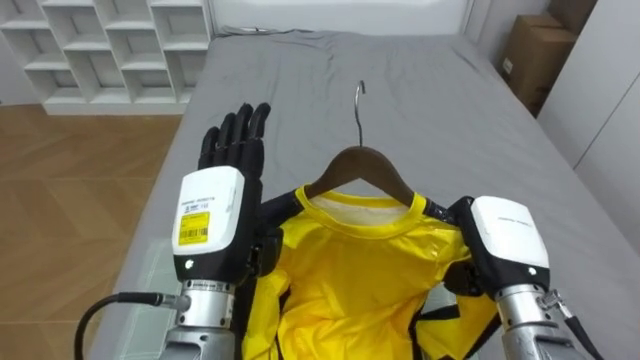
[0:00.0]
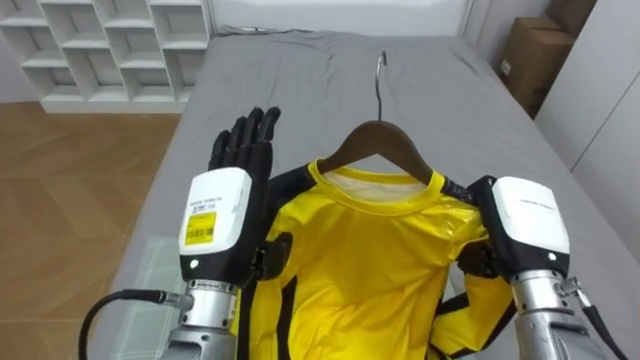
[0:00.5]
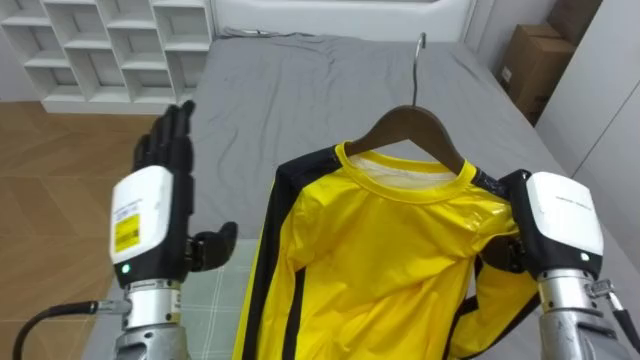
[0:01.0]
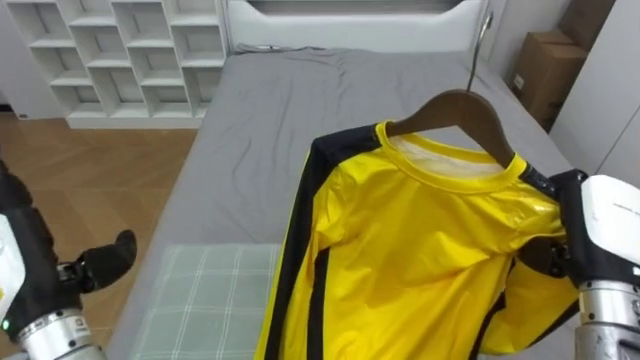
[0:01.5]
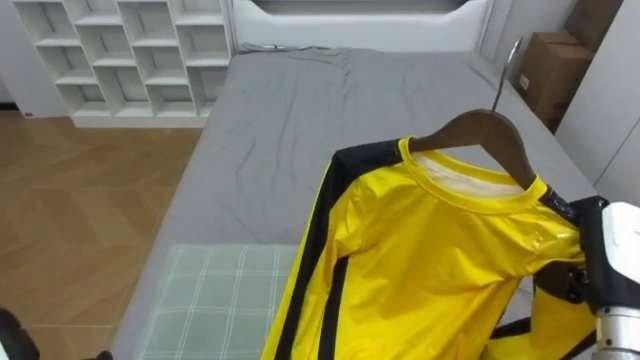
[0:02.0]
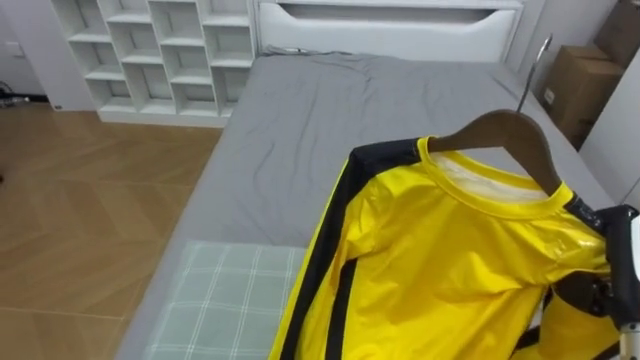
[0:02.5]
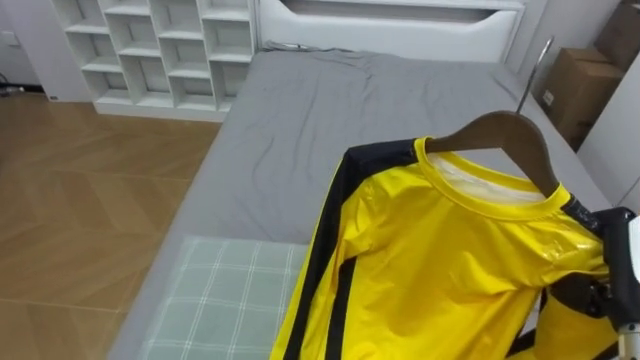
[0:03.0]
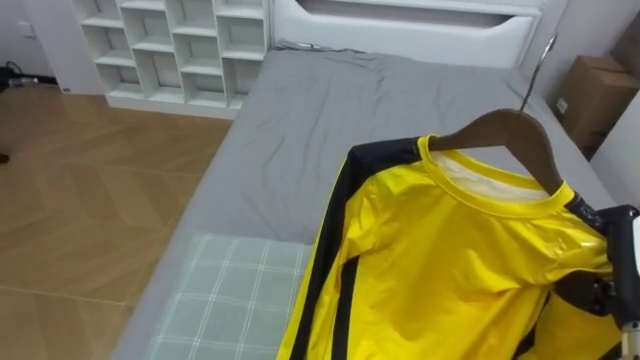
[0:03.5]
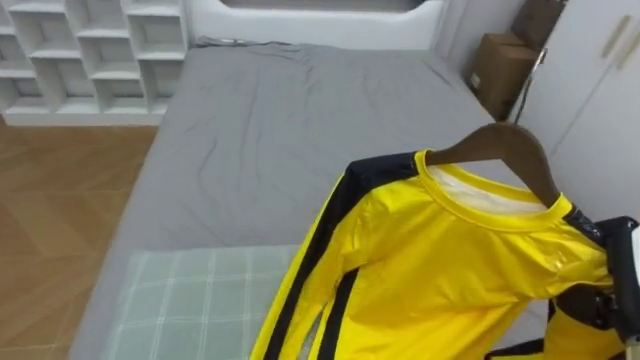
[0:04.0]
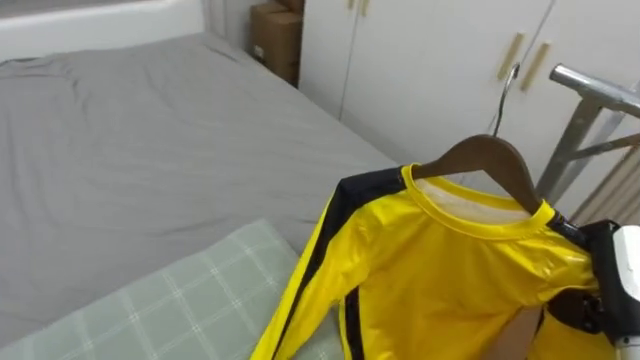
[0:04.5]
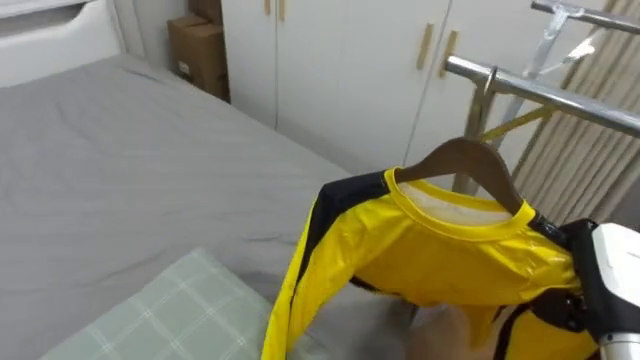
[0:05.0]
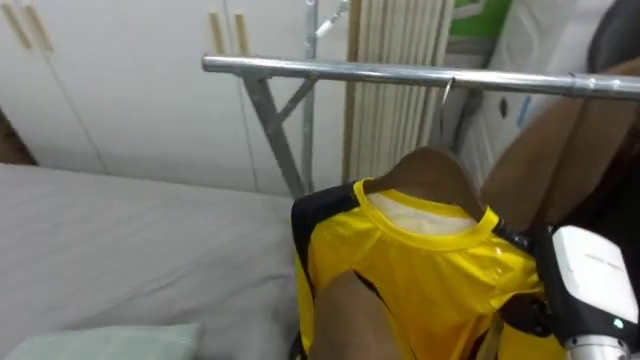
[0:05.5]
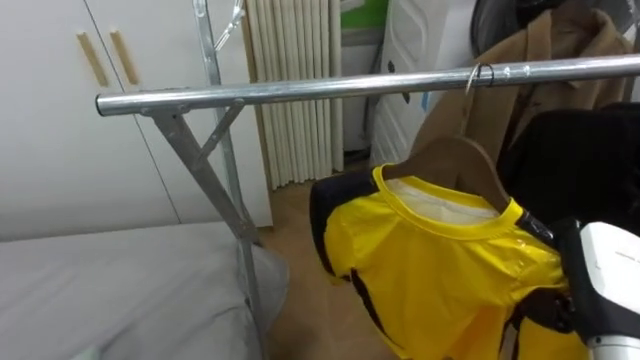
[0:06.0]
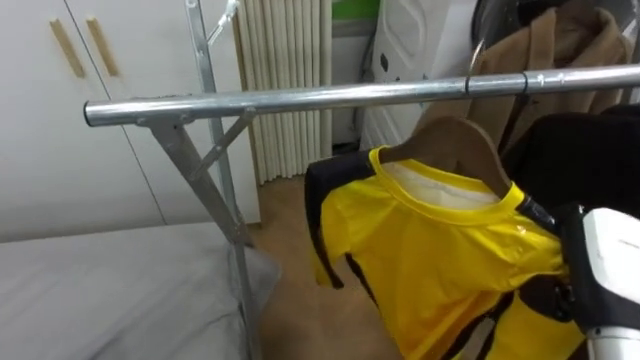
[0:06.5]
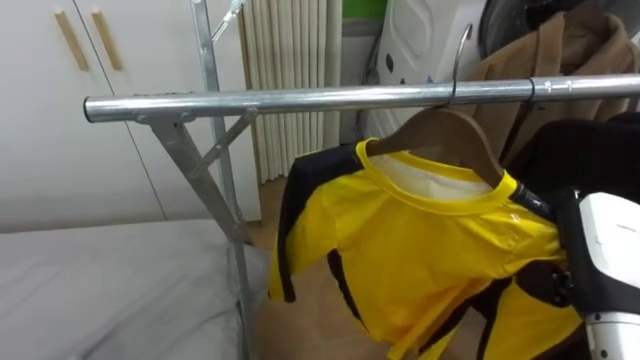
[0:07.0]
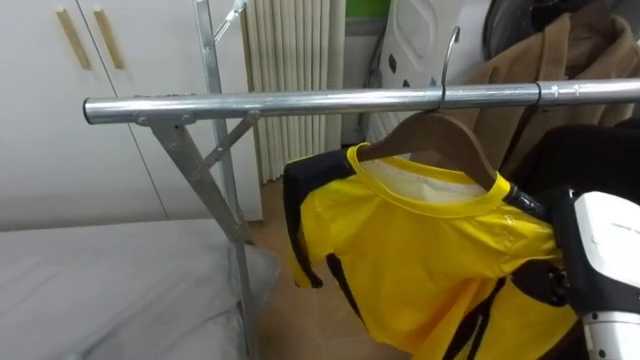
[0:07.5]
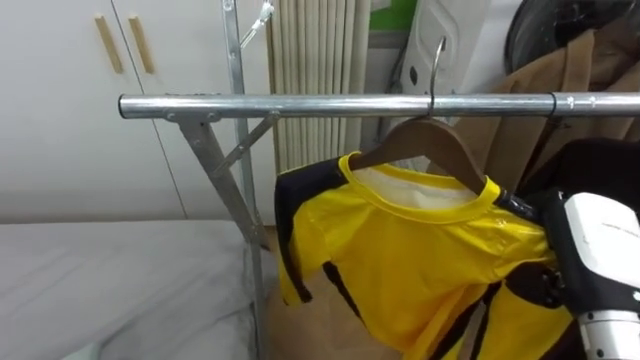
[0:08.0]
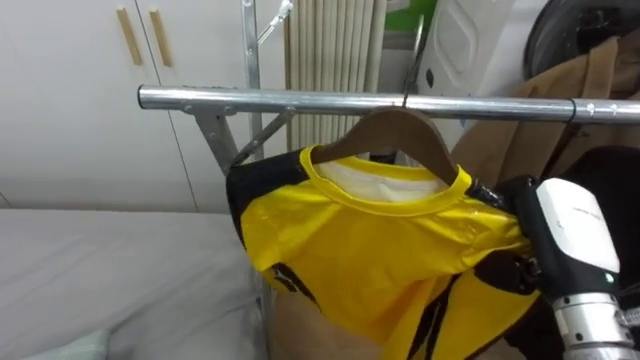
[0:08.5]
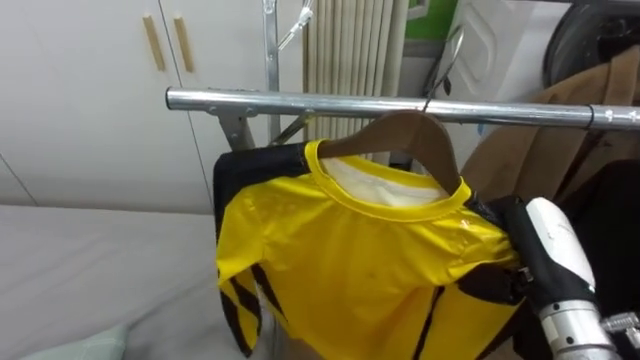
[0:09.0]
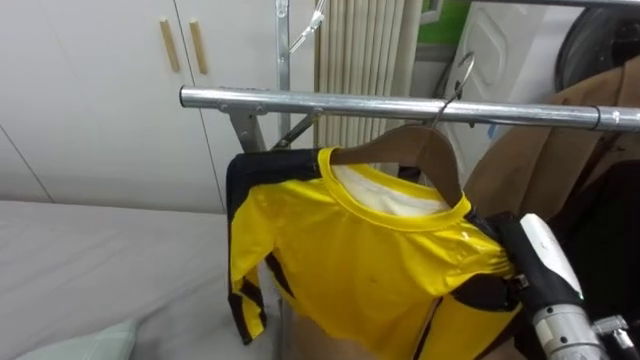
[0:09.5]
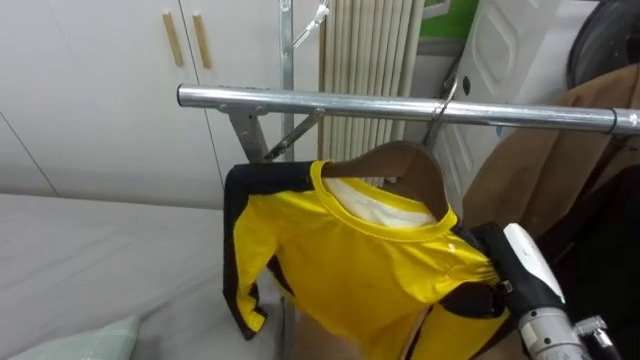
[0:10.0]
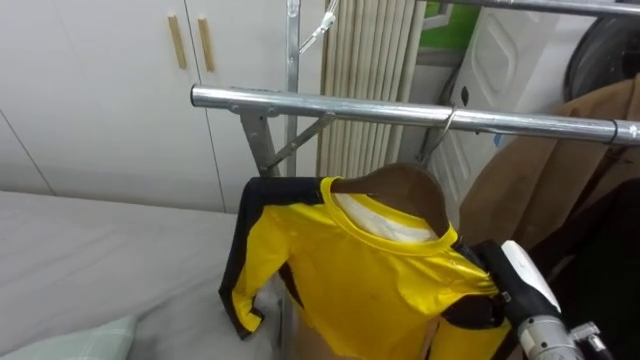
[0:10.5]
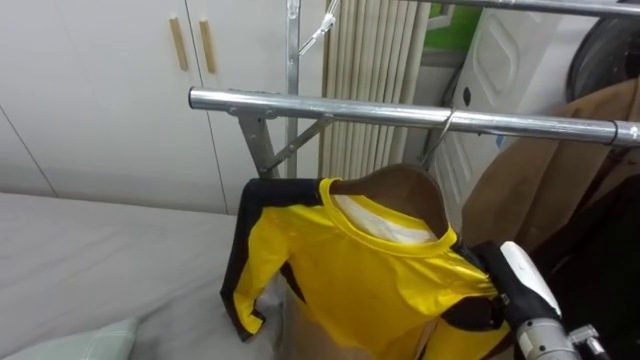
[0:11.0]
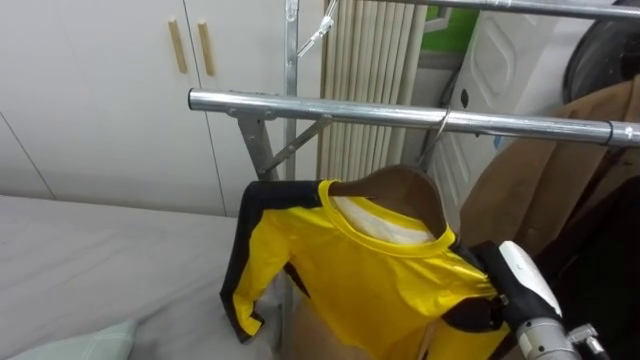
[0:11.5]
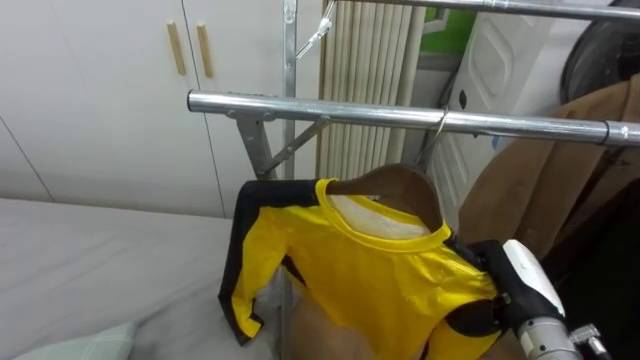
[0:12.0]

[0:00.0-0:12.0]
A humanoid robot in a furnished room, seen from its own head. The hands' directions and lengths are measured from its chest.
Task of the whole recording: Pick up the yellow shirt on the bed and hang it on the clothes rack on the right.
0:00.0 to 0:02.0: The right hand goes about 10 cm to the right.
0:04.0 to 0:06.0: The robot rotates roughly 90 degrees to its right.
0:08.0 to 0:10.0: The right hand moves downward, about 10 cm.
0:10.0 to 0:12.0: The right hand opens.

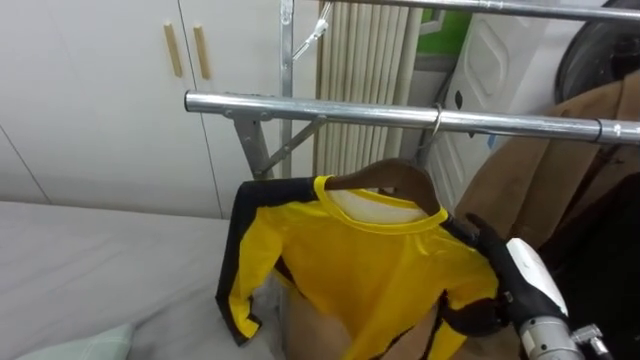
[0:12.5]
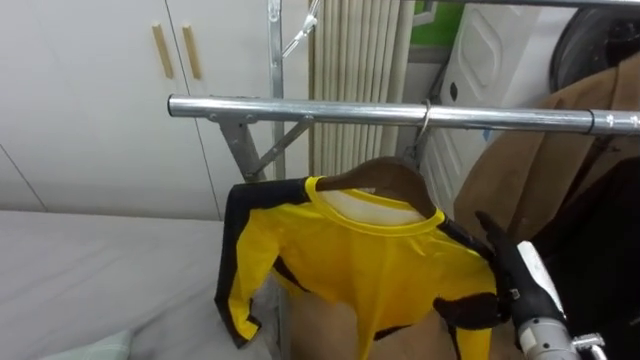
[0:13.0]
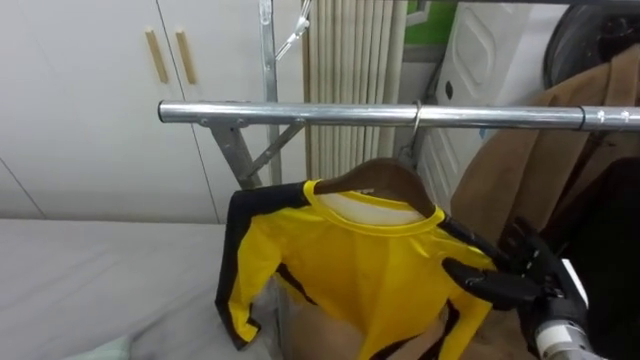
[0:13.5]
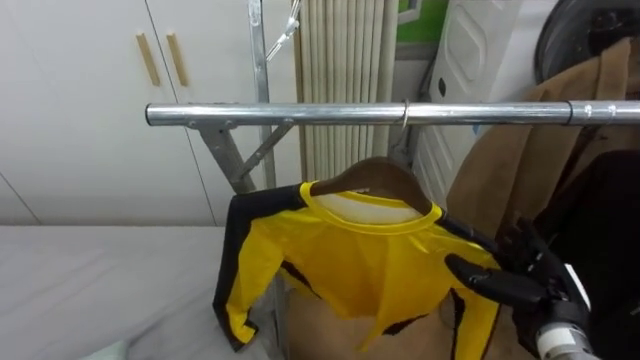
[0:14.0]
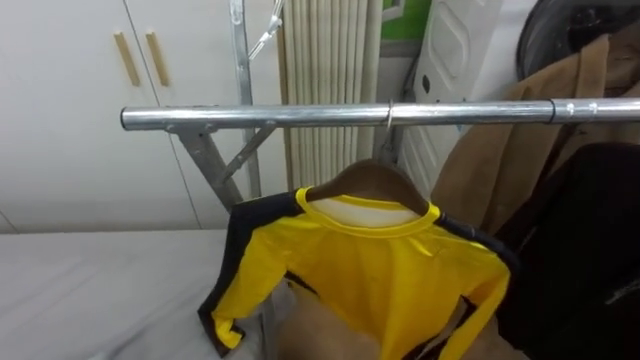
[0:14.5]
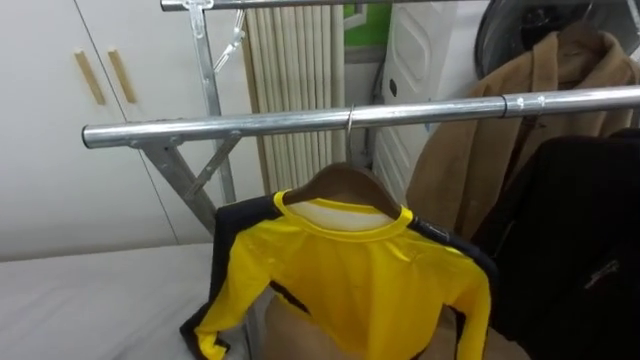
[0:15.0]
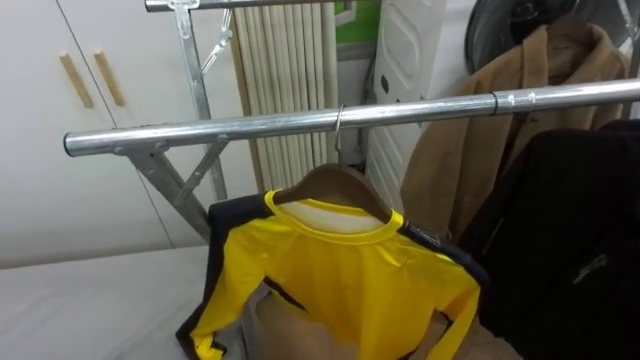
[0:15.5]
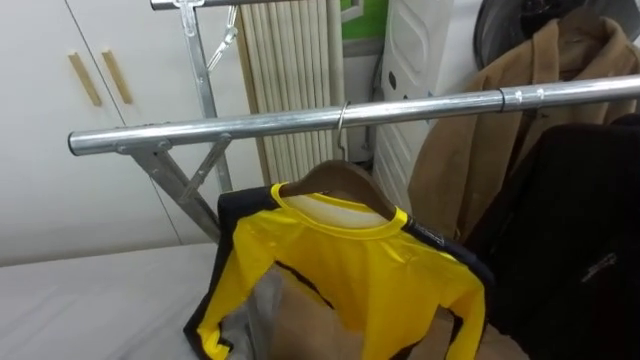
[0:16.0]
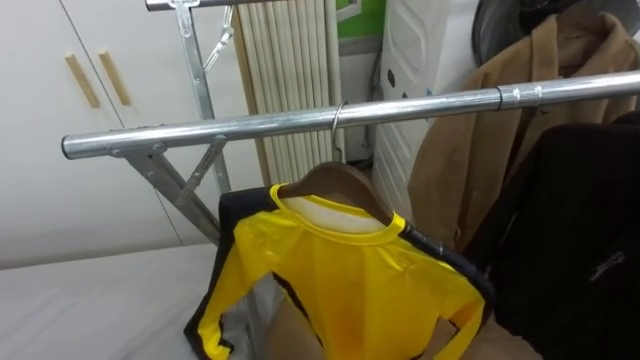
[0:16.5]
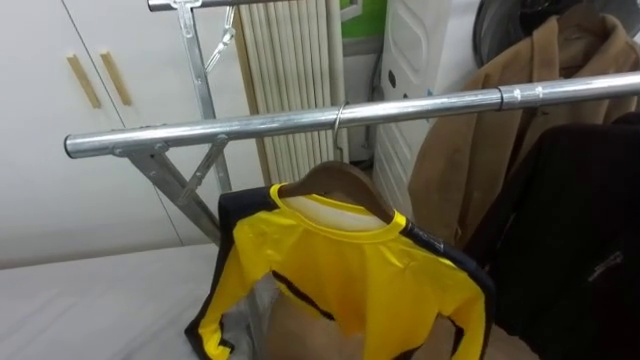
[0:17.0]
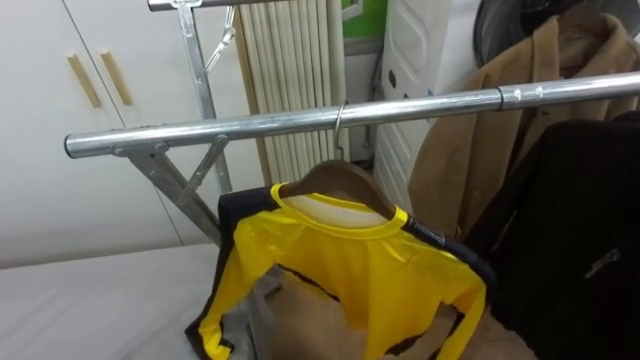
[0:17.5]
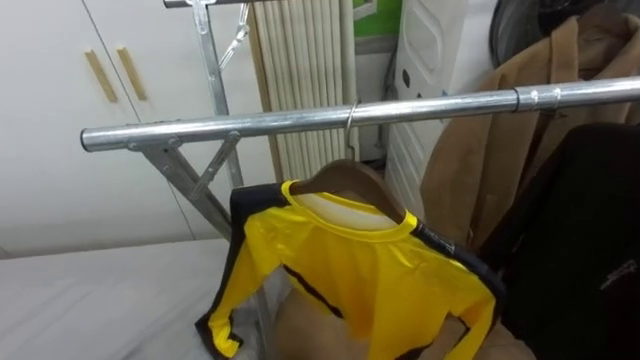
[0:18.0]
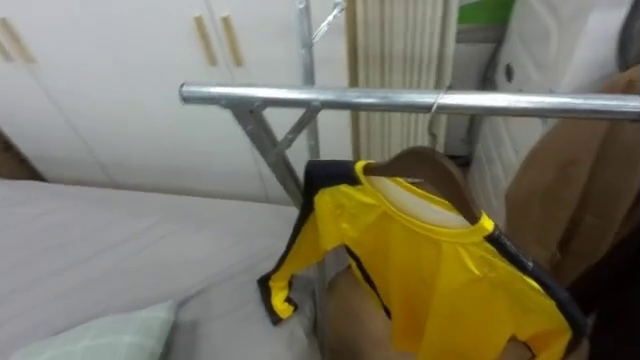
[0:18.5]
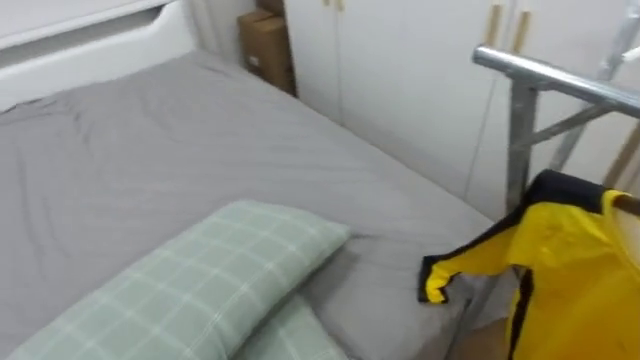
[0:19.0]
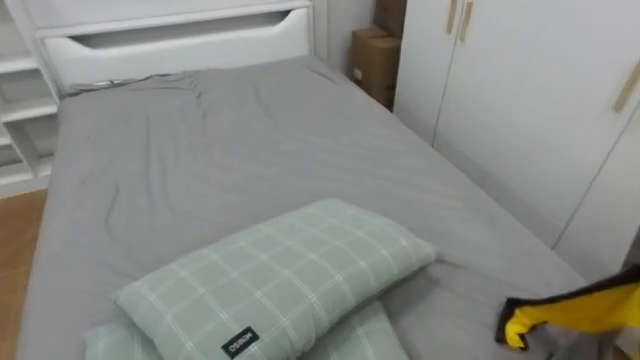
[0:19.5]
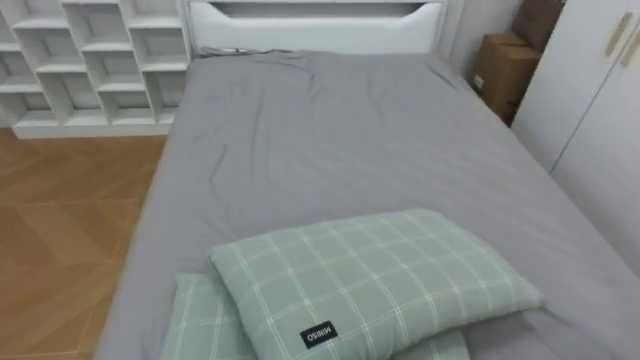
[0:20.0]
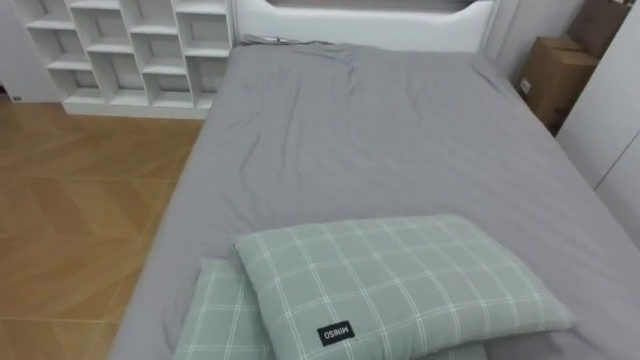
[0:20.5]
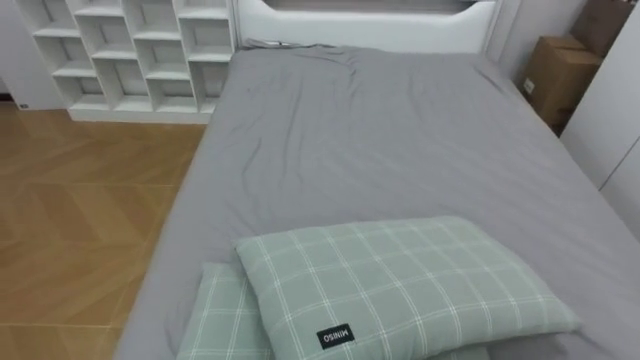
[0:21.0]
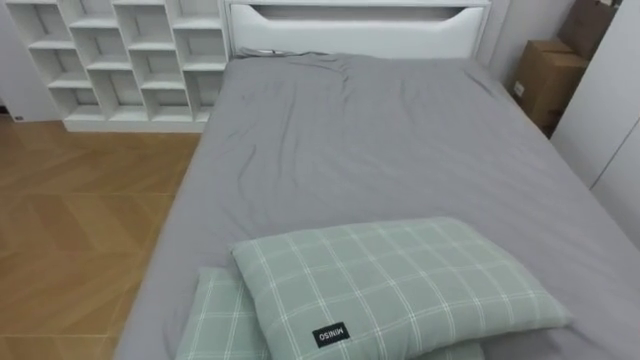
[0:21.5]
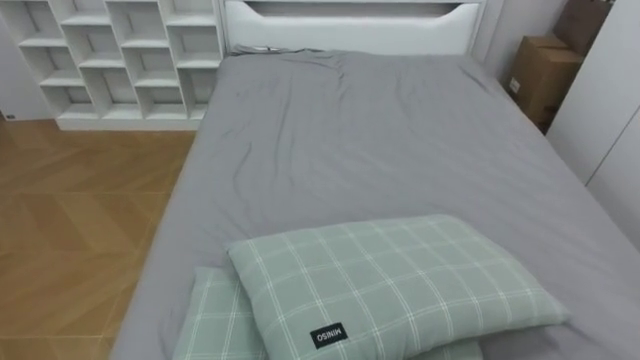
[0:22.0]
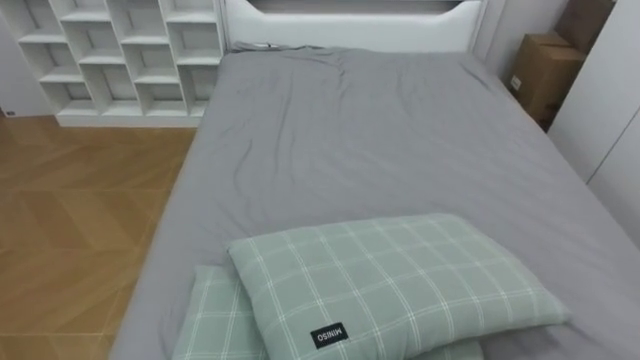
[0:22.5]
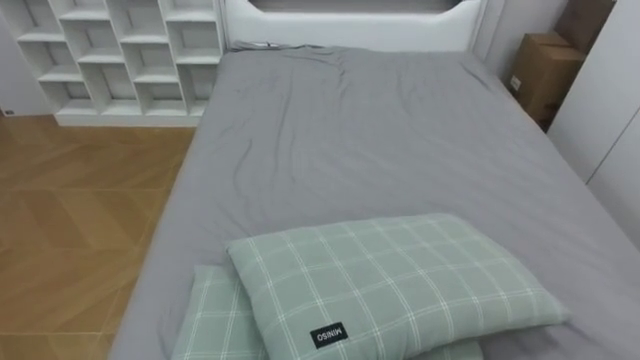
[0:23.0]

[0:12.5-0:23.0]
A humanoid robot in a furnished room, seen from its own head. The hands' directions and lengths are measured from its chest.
Task of the whole recording: Pick up the yellow shirt on the bed and hang it on the clothes rack on the right.
0:16.5 to 0:19.0: The robot turns to its left by about 55 degrees.
0:19.0 to 0:21.0: The robot turns to its left by about 40 degrees.
